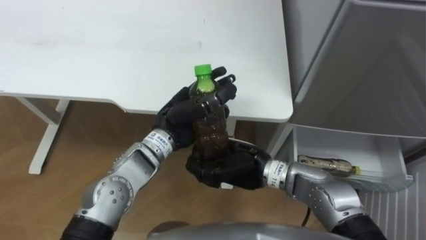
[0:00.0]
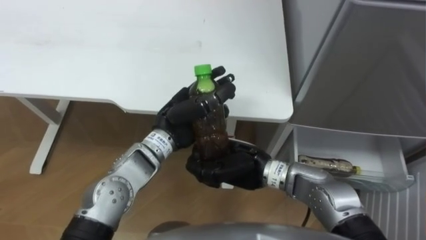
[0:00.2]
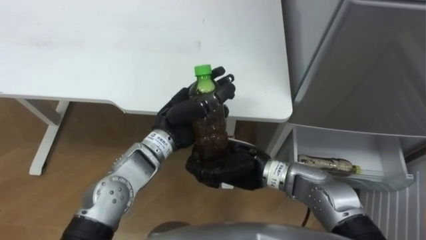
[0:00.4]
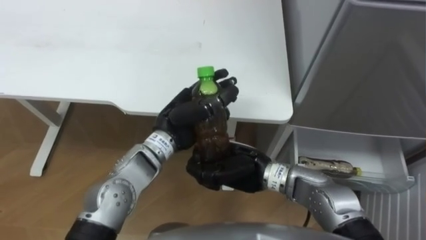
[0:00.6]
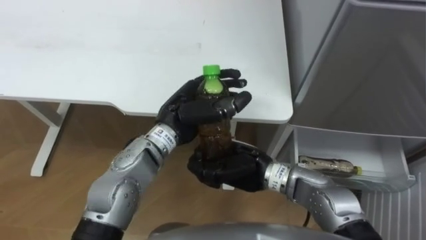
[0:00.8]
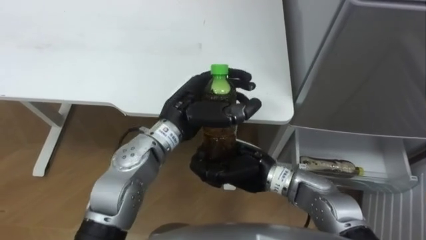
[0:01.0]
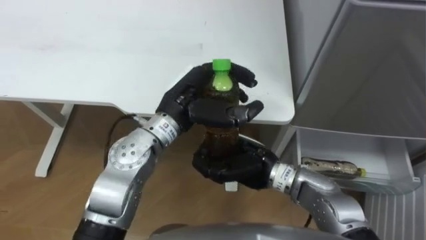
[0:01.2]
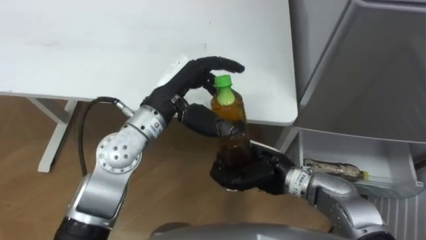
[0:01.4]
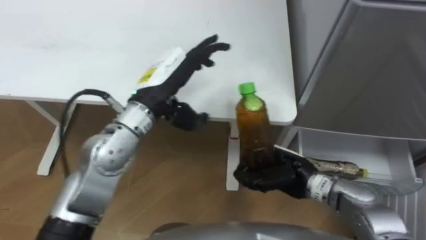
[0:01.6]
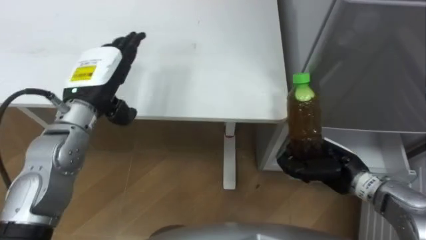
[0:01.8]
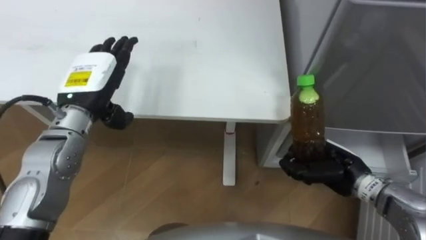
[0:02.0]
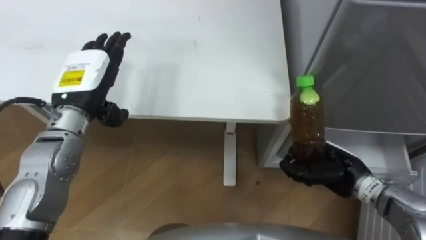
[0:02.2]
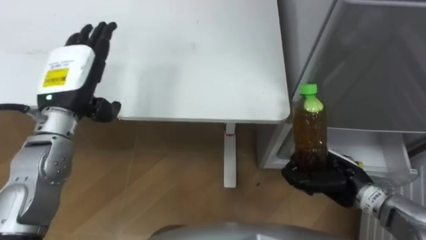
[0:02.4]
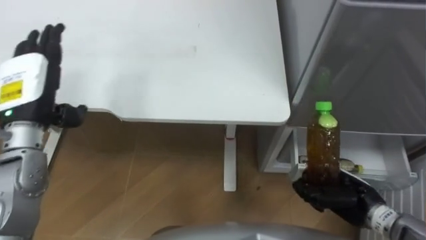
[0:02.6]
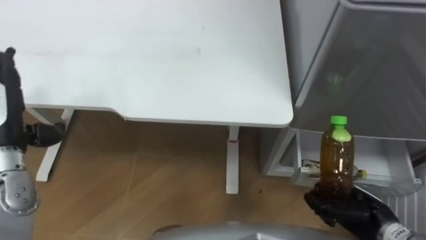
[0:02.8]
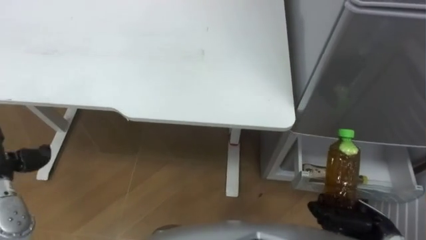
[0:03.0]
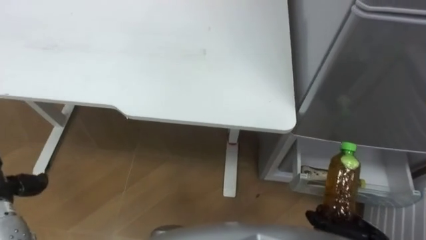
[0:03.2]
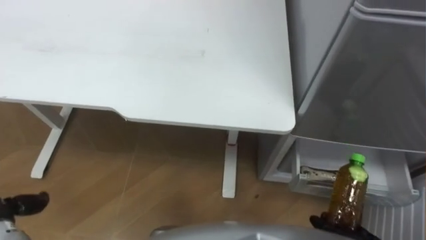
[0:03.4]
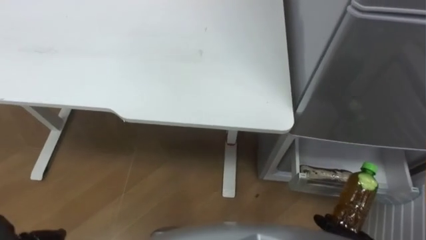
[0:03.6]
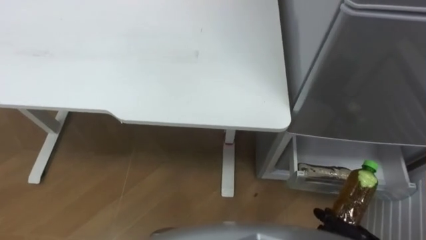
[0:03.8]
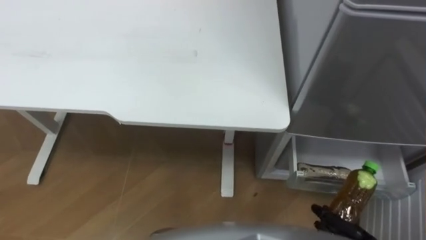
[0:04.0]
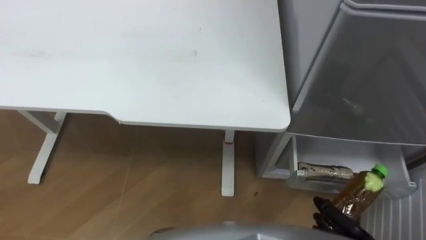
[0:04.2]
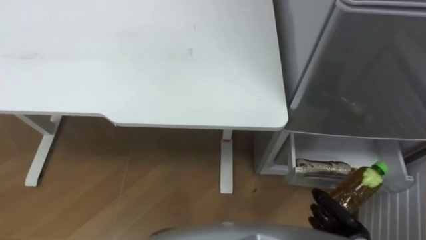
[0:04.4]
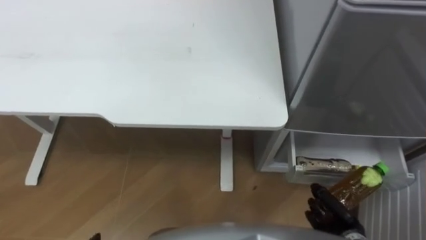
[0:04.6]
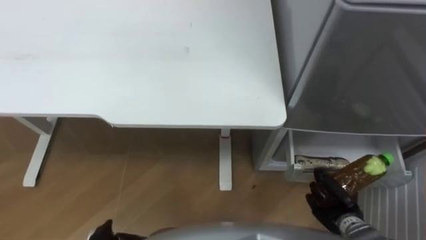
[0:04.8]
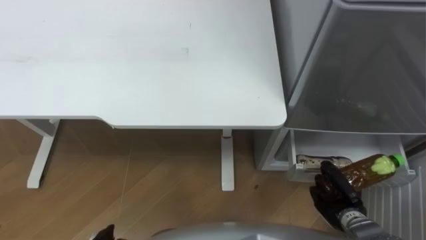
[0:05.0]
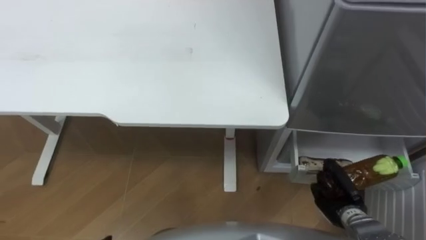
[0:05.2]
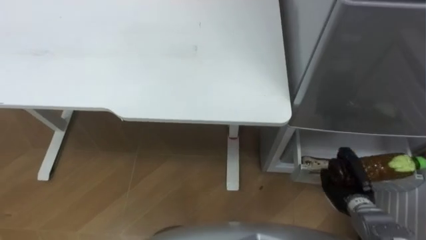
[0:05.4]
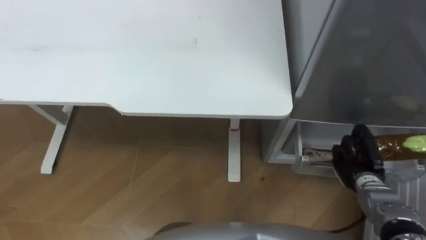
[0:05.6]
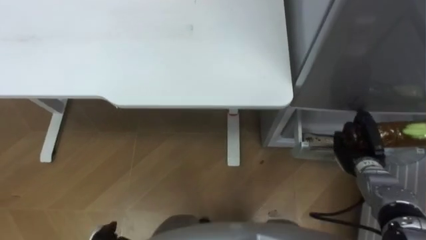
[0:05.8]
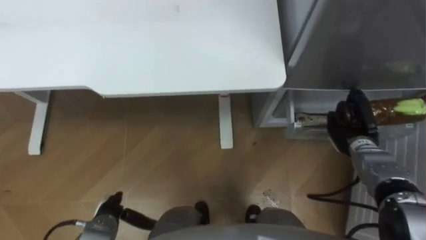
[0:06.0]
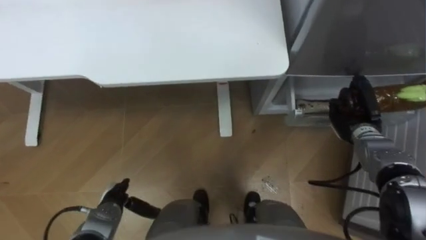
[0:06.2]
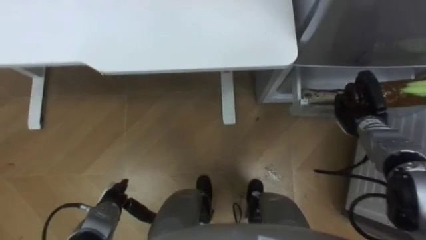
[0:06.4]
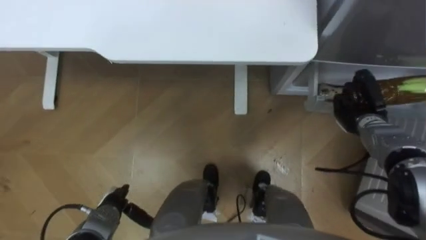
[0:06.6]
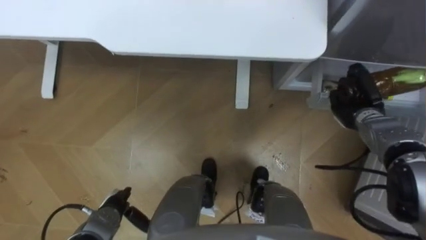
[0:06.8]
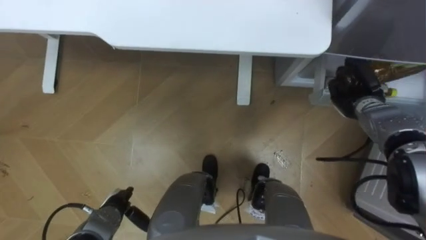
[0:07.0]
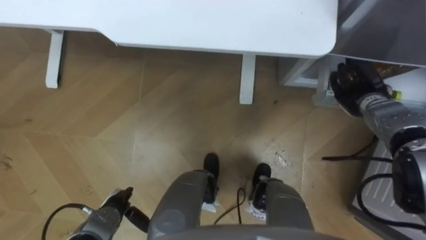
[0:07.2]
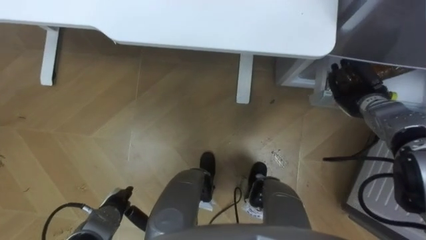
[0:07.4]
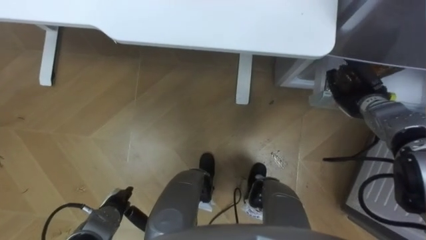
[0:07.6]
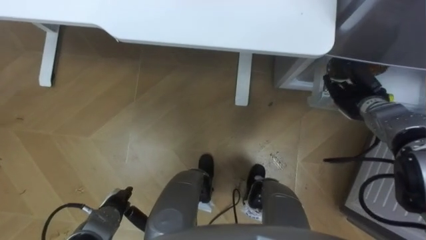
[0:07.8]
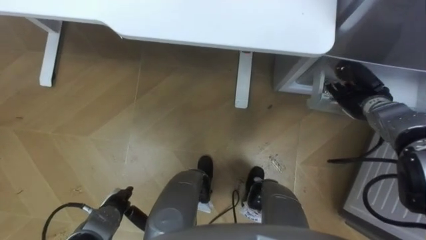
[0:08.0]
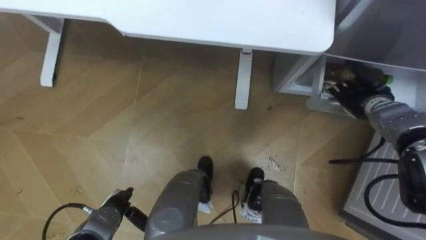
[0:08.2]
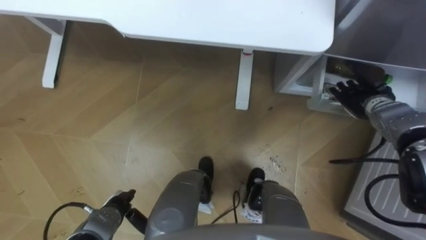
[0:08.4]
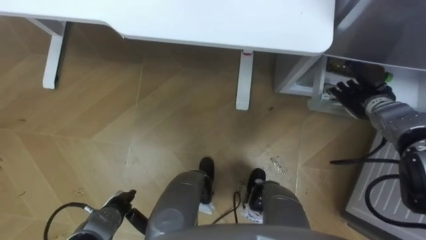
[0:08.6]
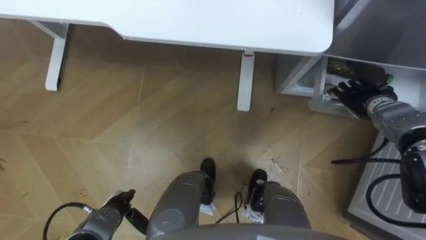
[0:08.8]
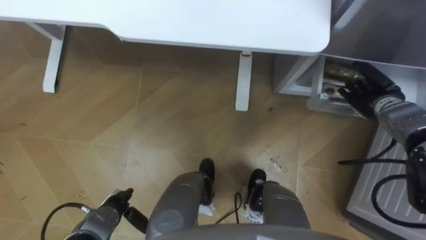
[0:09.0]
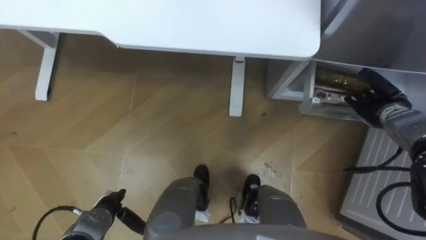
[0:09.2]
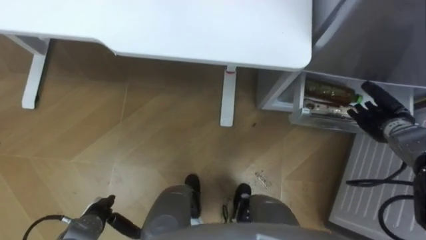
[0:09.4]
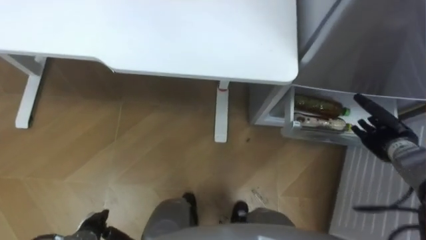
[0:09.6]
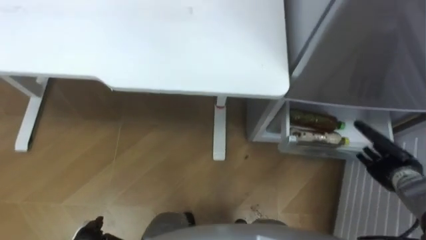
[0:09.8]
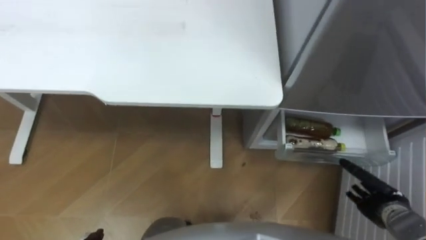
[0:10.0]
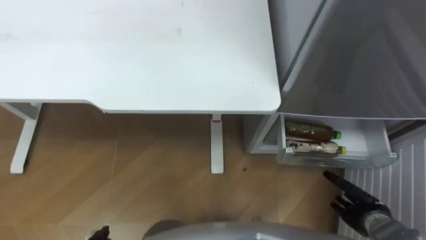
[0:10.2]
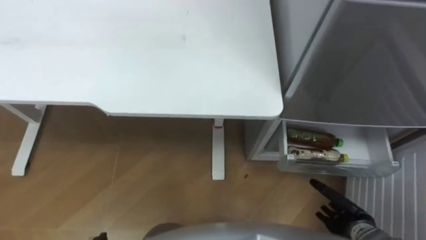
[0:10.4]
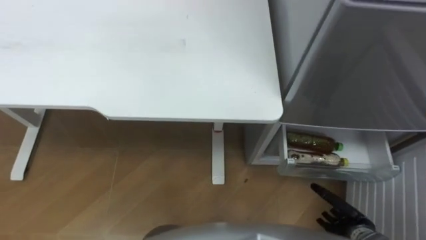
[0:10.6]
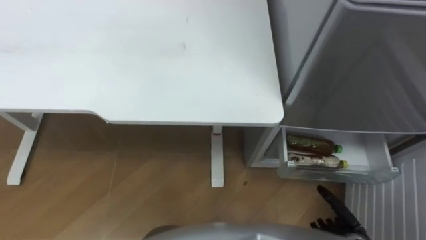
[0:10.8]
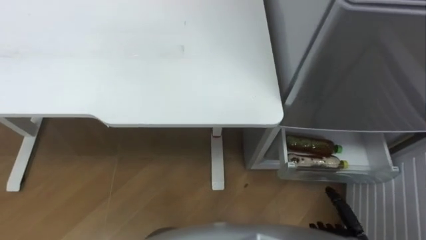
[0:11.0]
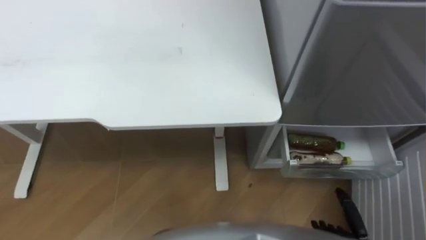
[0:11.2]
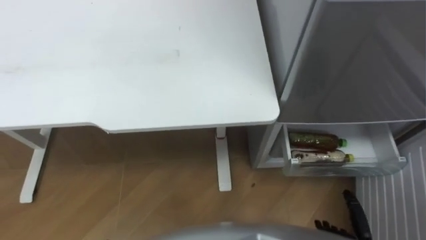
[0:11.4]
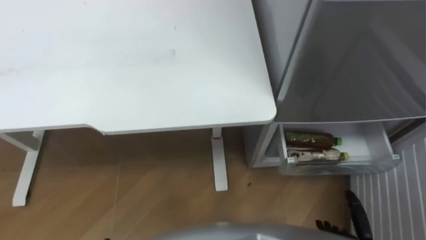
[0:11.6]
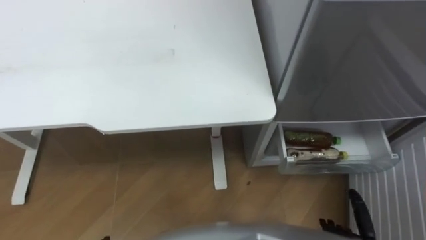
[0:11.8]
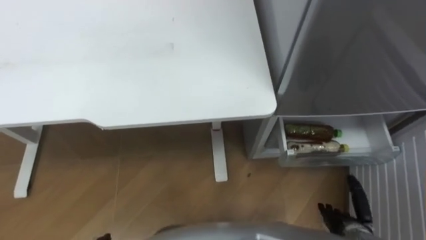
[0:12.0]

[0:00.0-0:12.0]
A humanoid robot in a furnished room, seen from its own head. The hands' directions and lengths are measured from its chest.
Task of the whole recording: Place the drink on the table on the bottom shelf of the refrigerator, then close the drawer and the refrigerator door.
0:00.0 to 0:01.6: The left hand heads upward, covering approximately 10 cm, and opens its fingers, while the right hand heads to the right, covering some 5 cm.
0:01.6 to 0:03.0: The right hand shifts roughly 20 cm to the right and backward.
0:04.4 to 0:06.0: The right hand heads forward, covering approximately 20 cm.
0:06.0 to 0:07.6: The right hand goes approximately 10 cm forward and upward, and opens.
0:07.6 to 0:09.0: The right hand opens up.
0:09.0 to 0:10.4: The right hand is displaced backward and downward by roughly 25 cm.

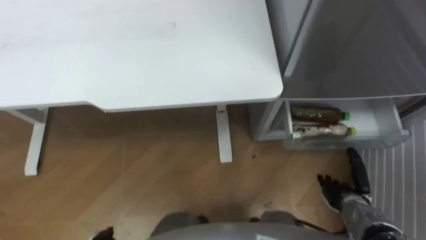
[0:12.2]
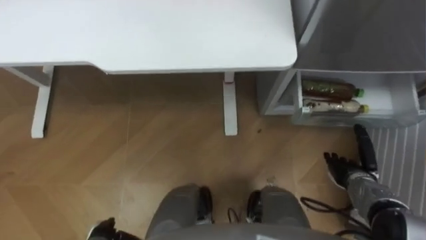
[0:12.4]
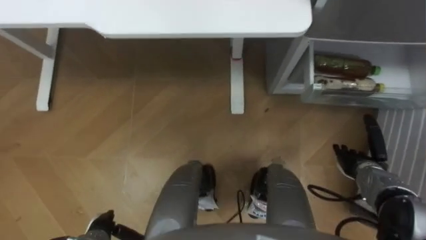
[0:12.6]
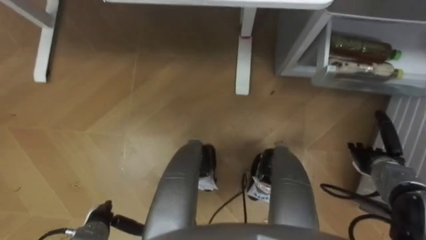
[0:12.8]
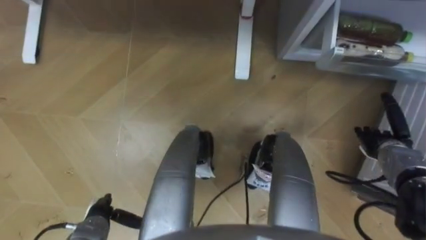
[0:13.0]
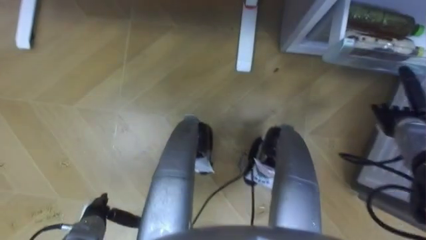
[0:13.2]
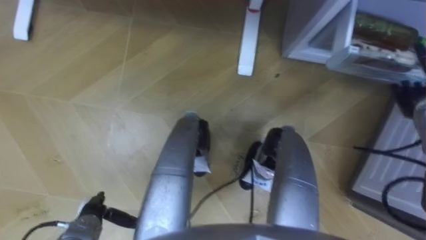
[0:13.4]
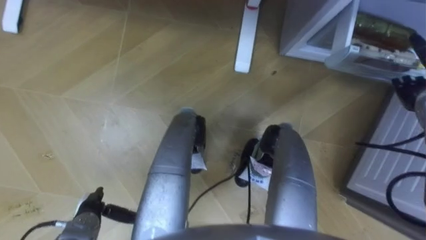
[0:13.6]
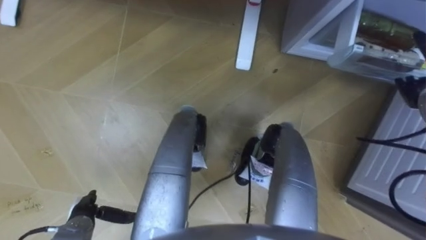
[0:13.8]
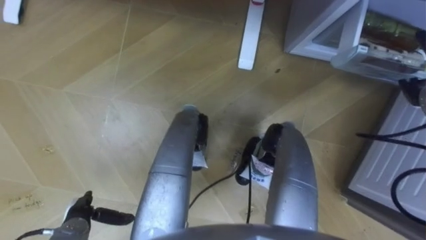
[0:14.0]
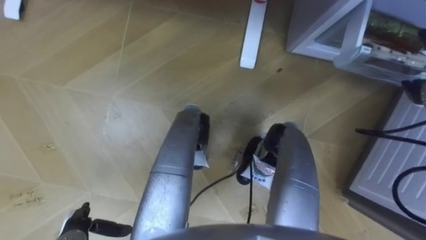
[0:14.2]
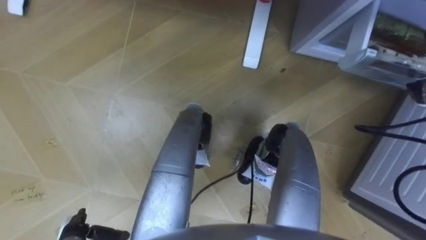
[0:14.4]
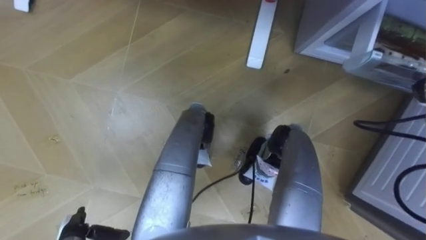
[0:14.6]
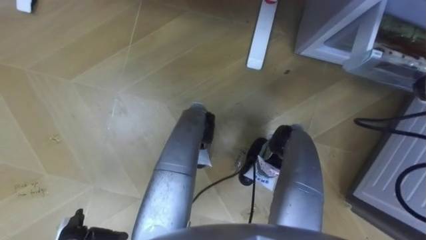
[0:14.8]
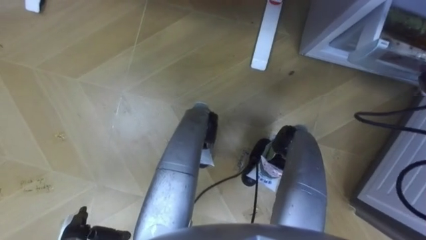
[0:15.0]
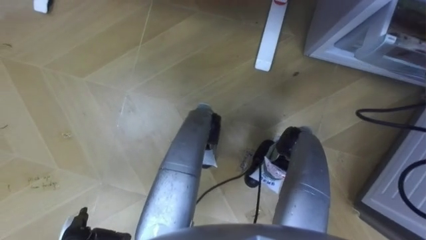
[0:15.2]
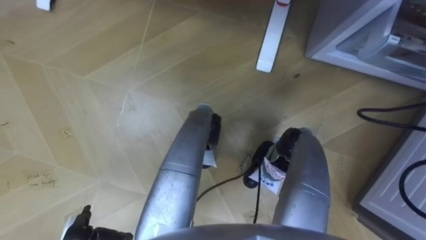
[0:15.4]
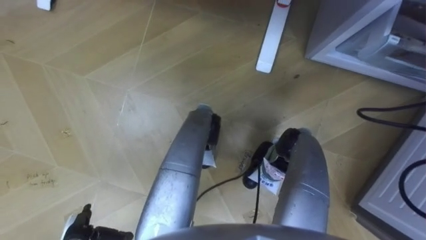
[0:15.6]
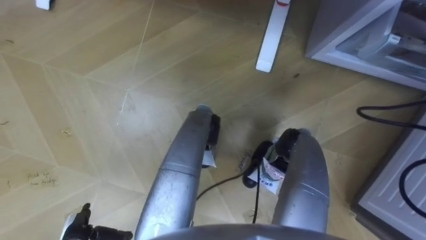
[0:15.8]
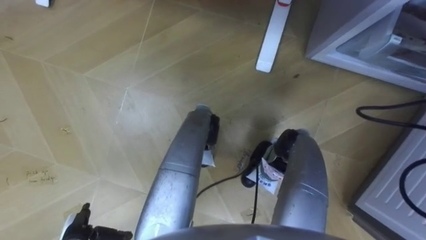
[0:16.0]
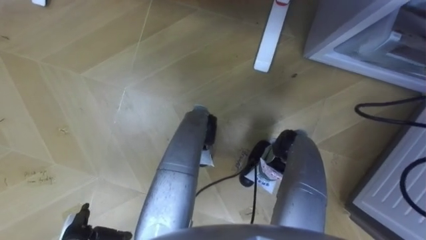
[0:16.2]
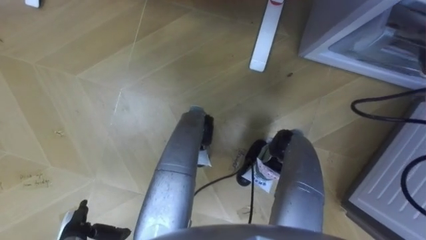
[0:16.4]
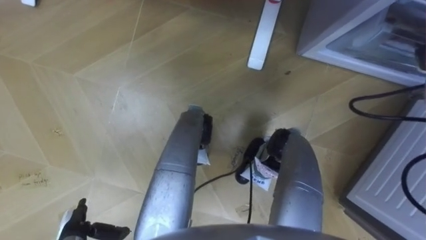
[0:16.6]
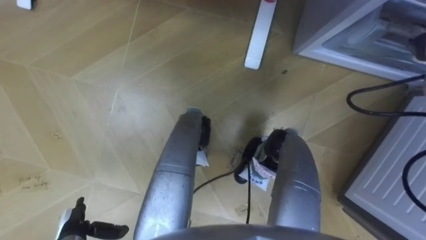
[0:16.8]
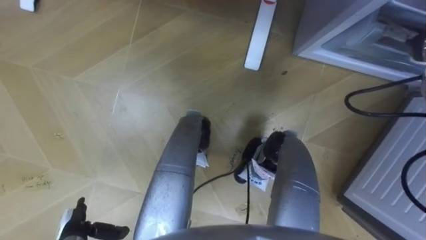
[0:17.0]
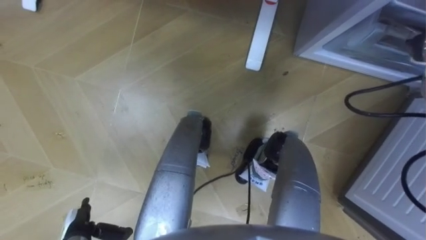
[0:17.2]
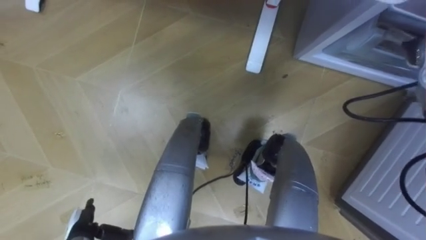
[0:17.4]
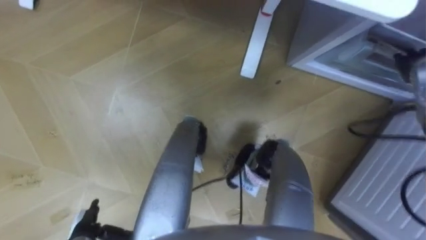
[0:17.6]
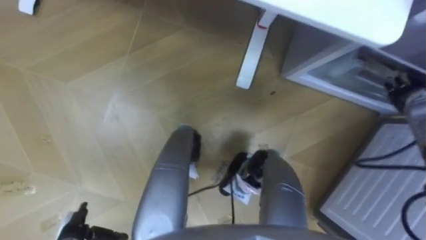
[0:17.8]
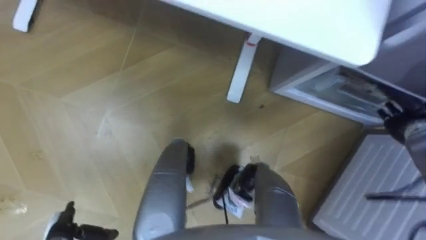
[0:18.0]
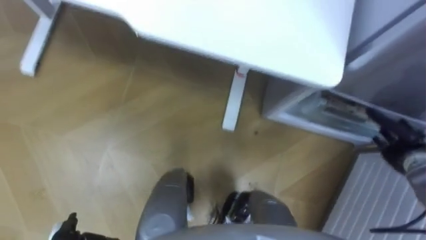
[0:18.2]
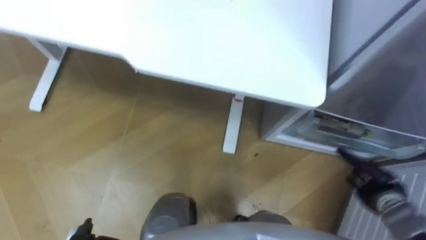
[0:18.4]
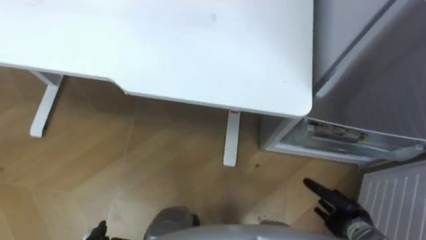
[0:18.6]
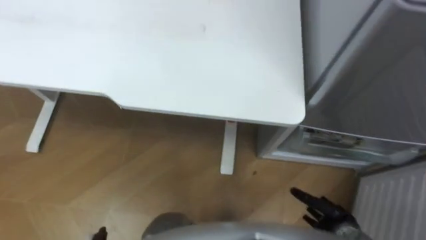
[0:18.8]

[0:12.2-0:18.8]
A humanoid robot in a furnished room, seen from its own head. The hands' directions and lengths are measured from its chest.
Task of the whole recording: Place the drink on the table on the bottom shelf of the refrigerator, then close the drawer and the refrigerator door.
0:12.2 to 0:13.8: The right hand heads forward, upward and to the right, covering some 30 cm.
0:17.2 to 0:18.8: The right hand is displaced backward and downward by about 40 cm.
